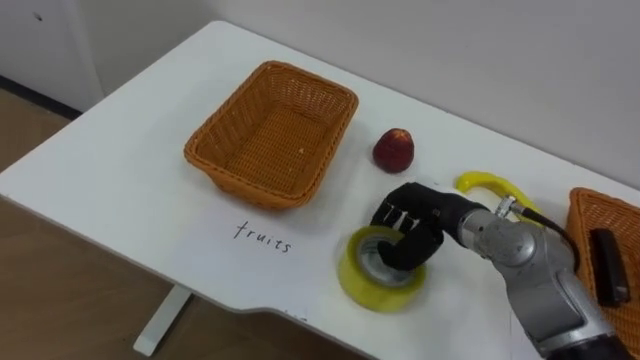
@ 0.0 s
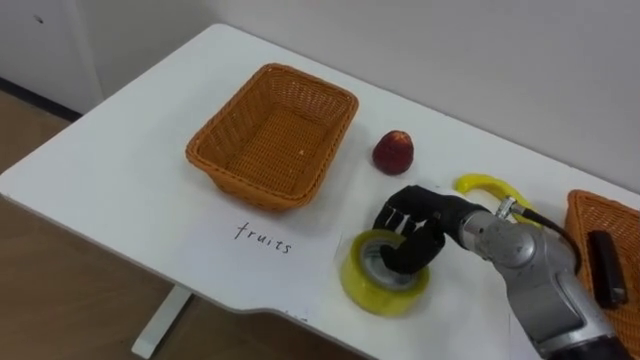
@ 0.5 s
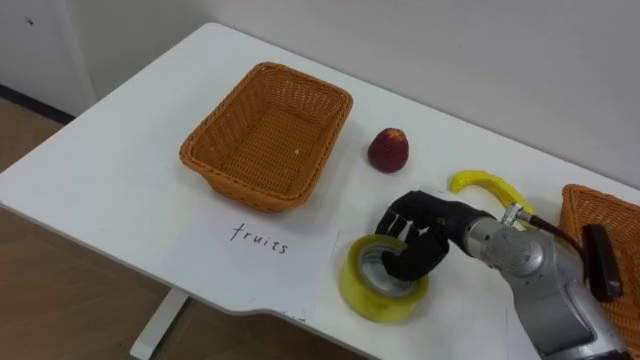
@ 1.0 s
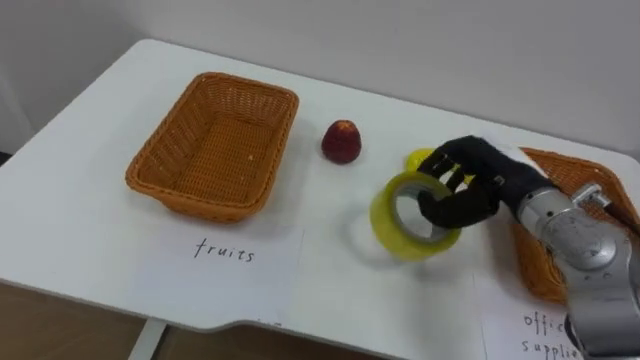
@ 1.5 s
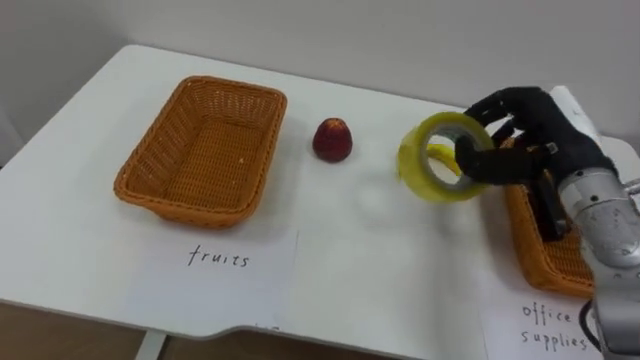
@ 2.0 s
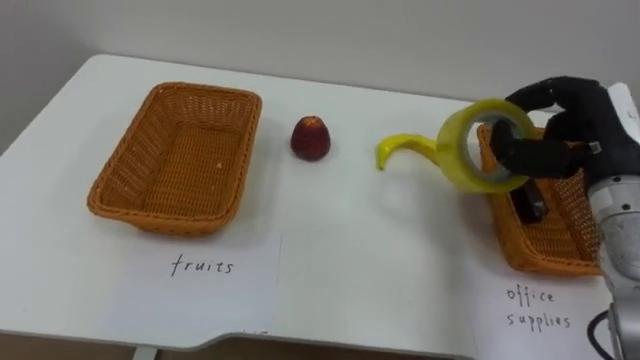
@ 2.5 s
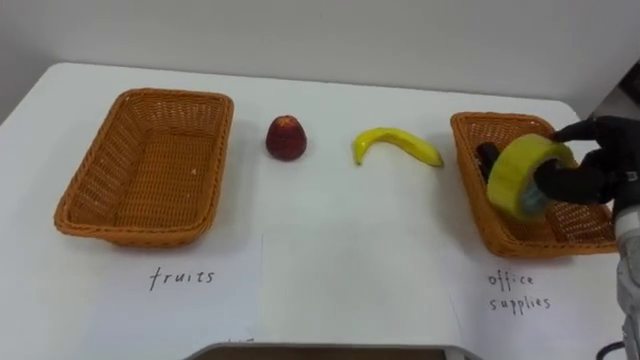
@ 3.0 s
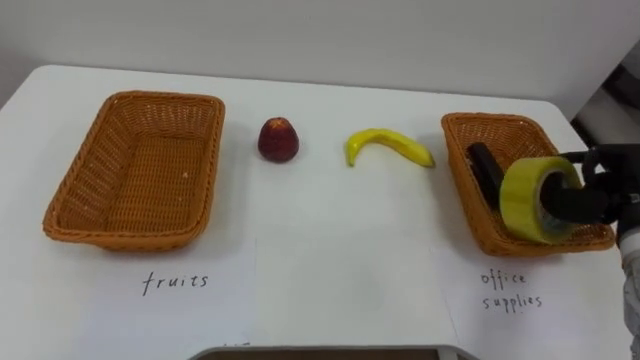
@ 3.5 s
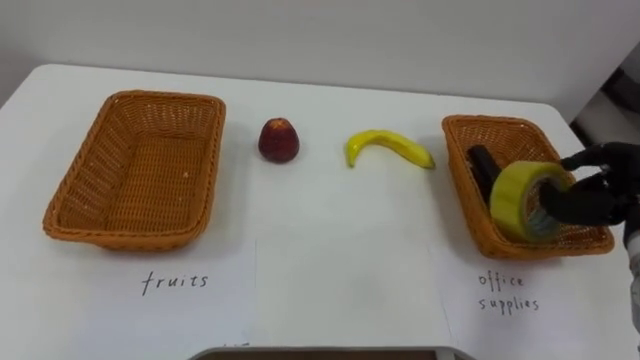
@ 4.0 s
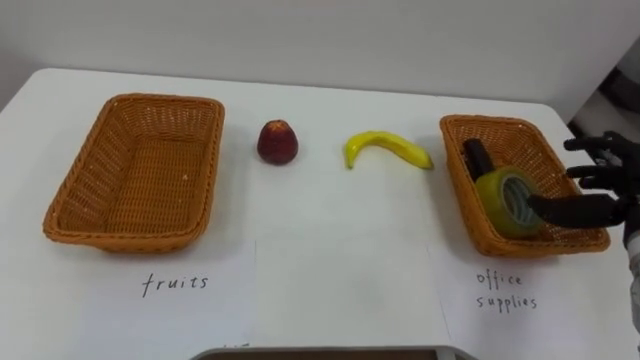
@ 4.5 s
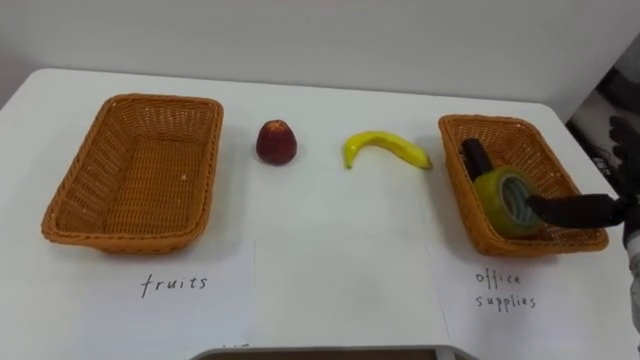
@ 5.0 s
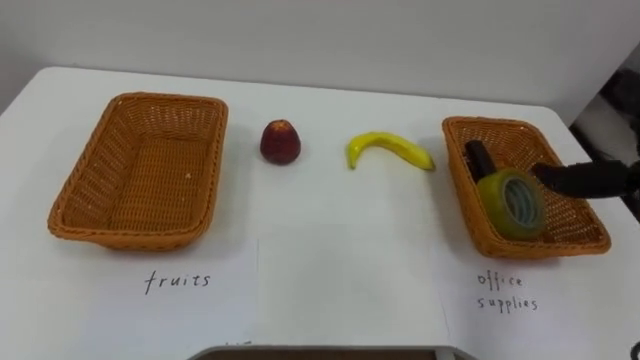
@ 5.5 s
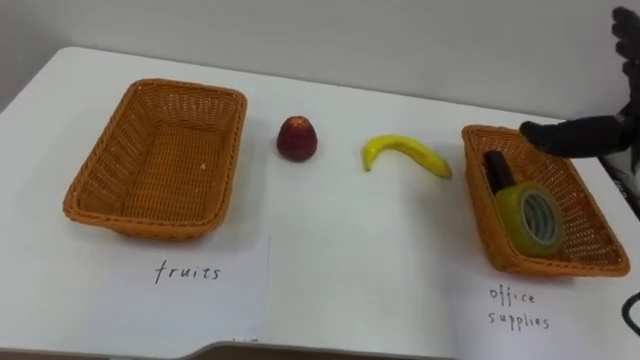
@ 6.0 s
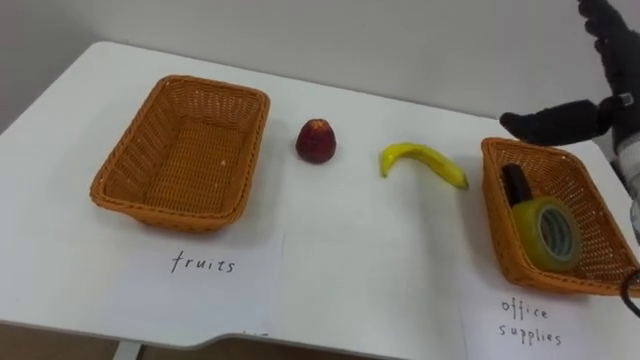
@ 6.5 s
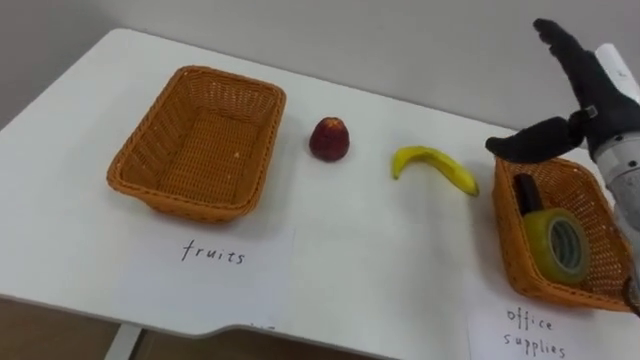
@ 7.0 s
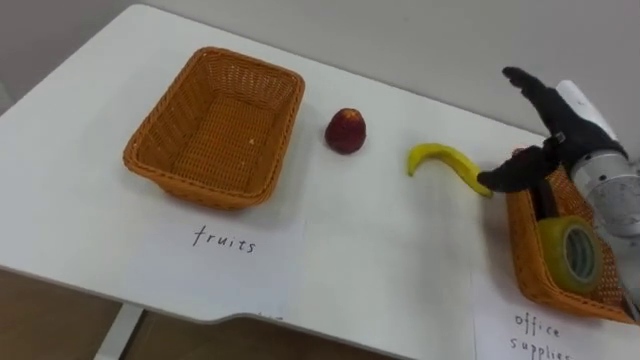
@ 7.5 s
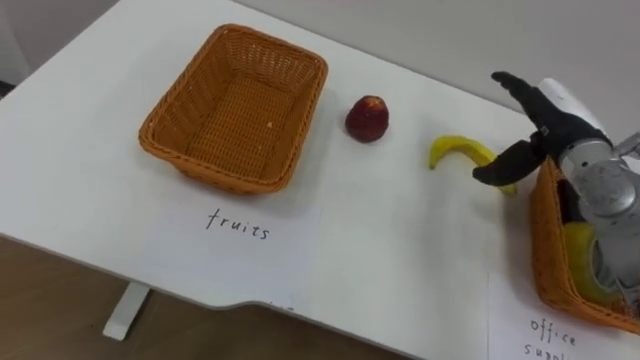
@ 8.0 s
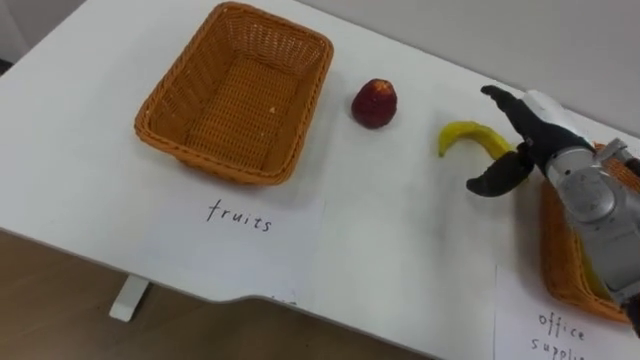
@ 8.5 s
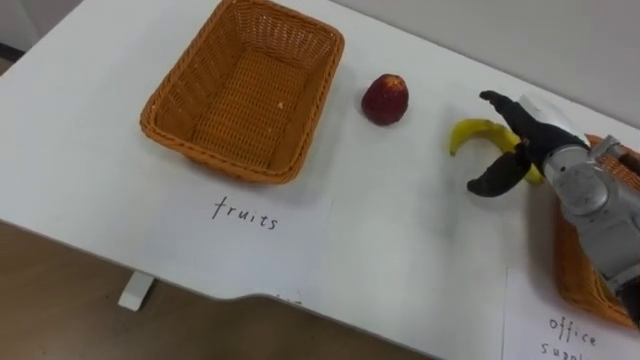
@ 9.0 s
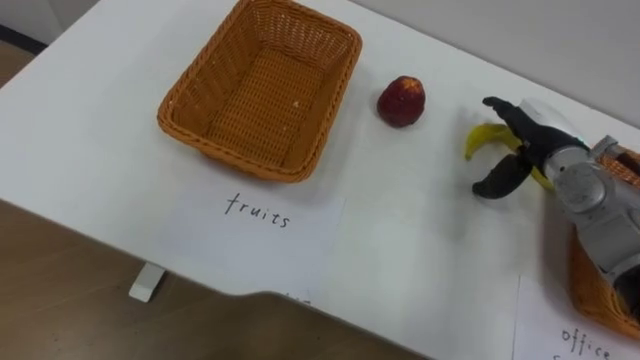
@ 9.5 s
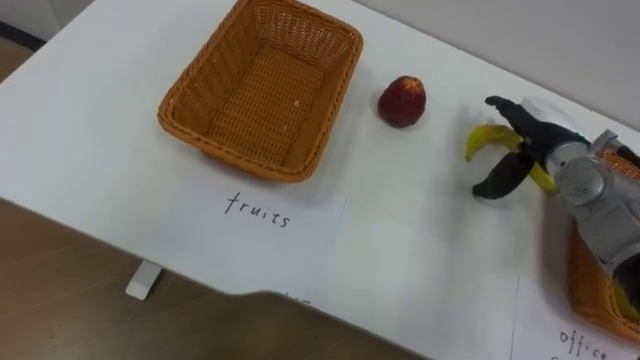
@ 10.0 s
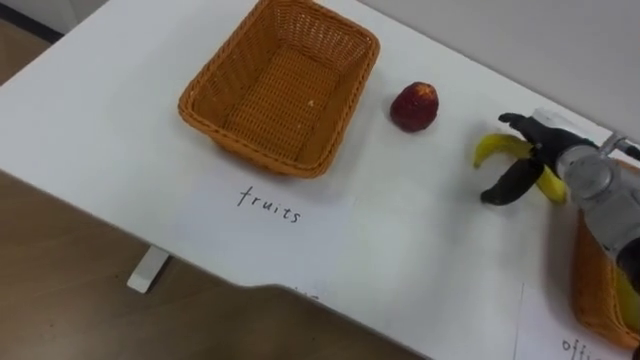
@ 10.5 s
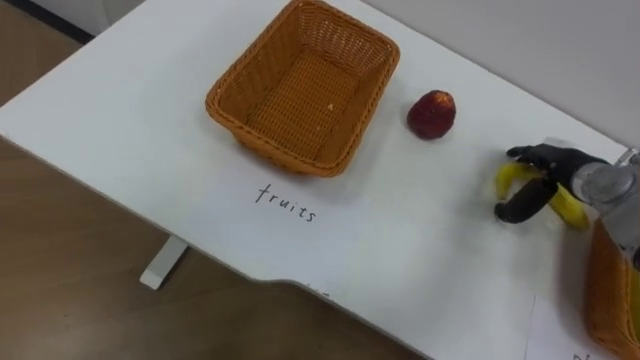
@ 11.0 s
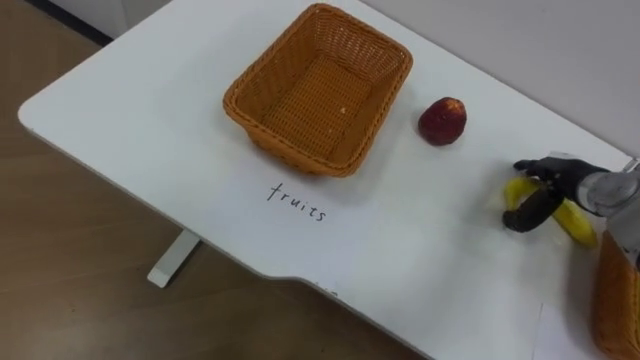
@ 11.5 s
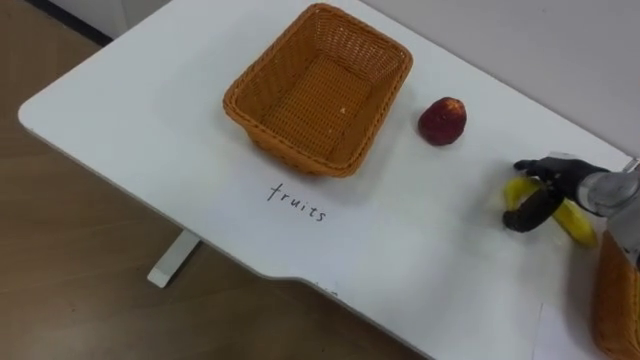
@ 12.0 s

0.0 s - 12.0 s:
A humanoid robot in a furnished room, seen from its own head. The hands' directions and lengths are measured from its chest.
Task of the whole recording: Separate the items on the table and place them into the two baskets.
0.0 s - 2.0 s: The right hand travels upward and to the right by approximately 15 cm.
2.0 s - 4.0 s: The right hand travels to the right and downward by roughly 10 cm.
10.0 s - 12.0 s: The right hand goes roughly 10 cm downward and to the right.

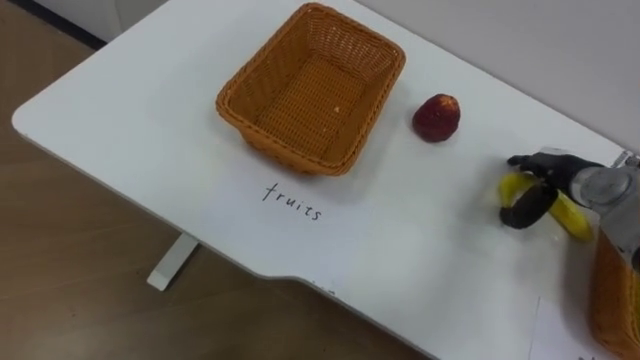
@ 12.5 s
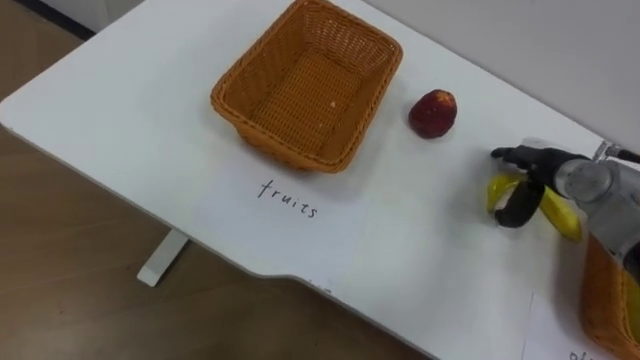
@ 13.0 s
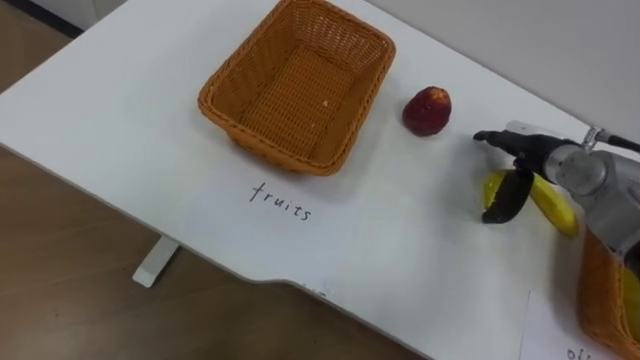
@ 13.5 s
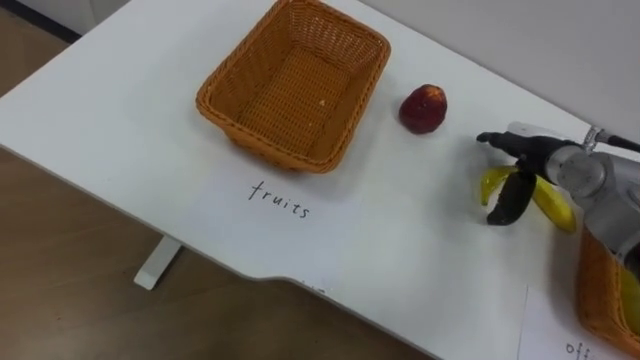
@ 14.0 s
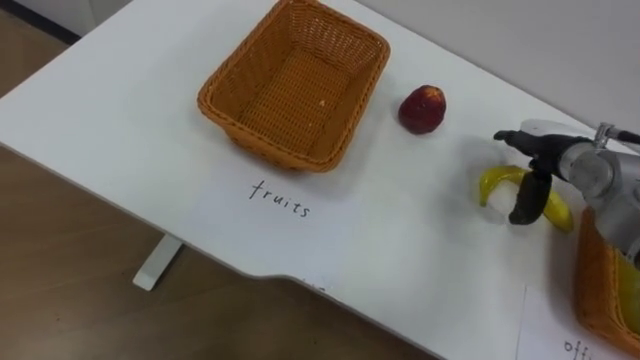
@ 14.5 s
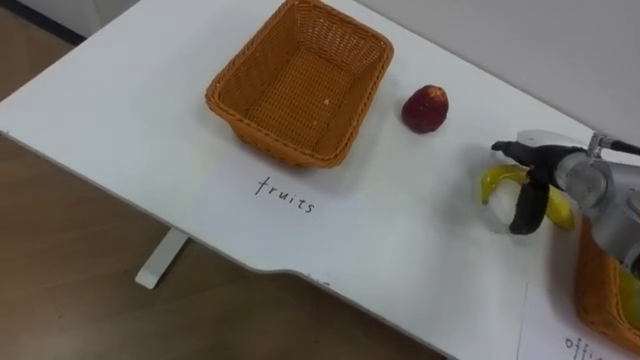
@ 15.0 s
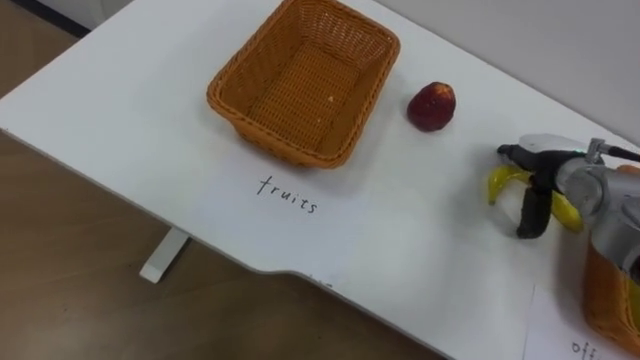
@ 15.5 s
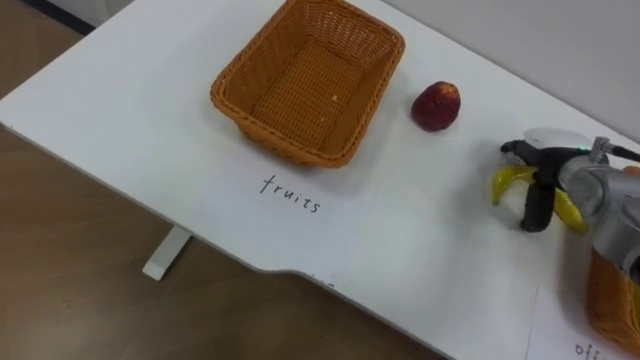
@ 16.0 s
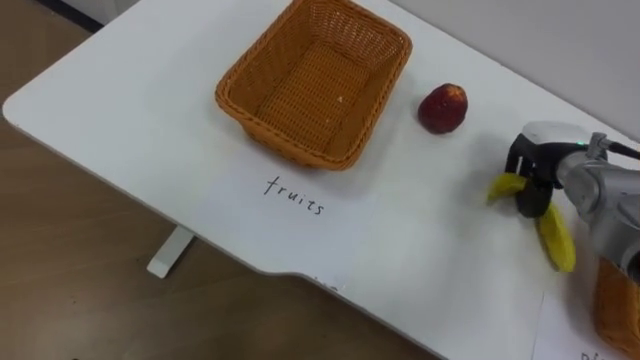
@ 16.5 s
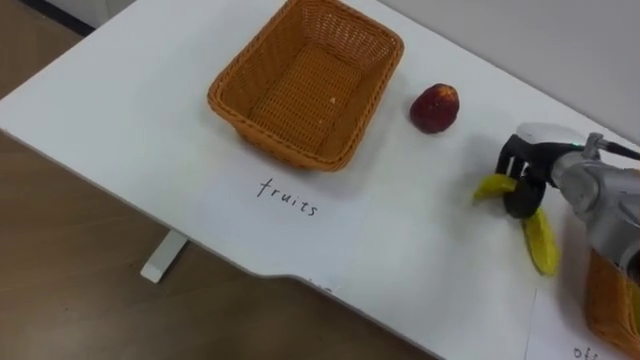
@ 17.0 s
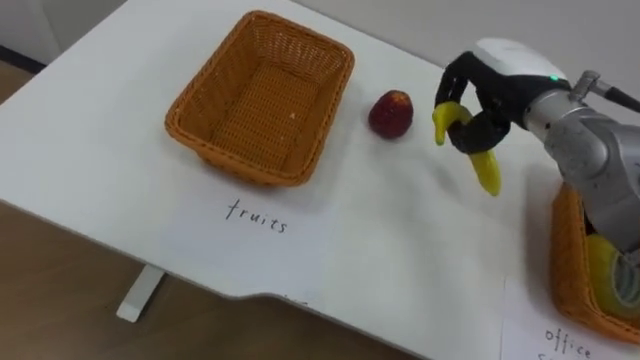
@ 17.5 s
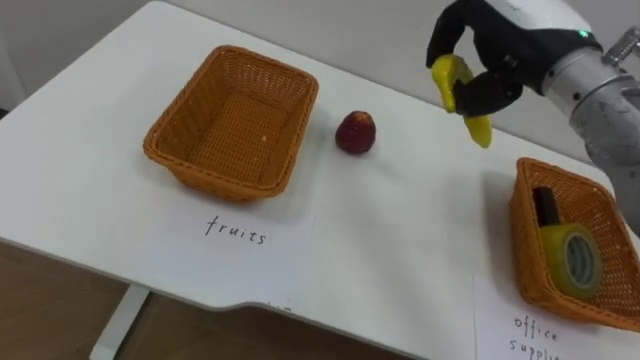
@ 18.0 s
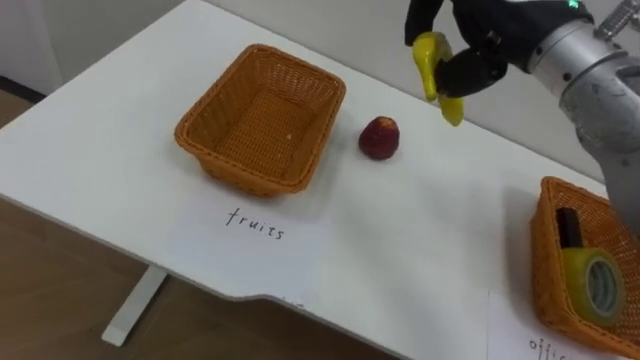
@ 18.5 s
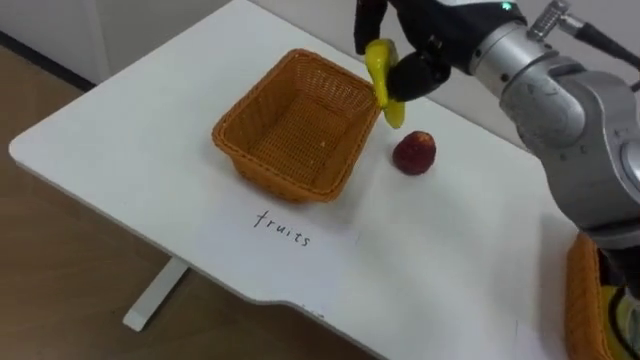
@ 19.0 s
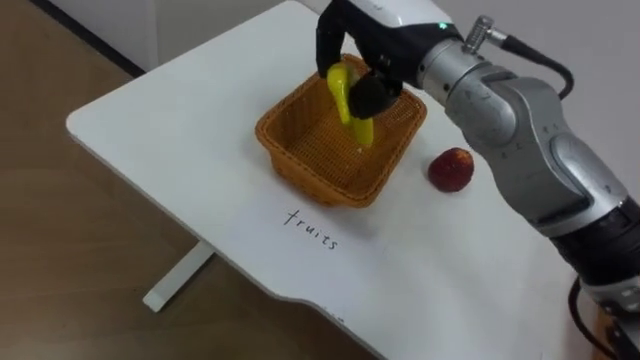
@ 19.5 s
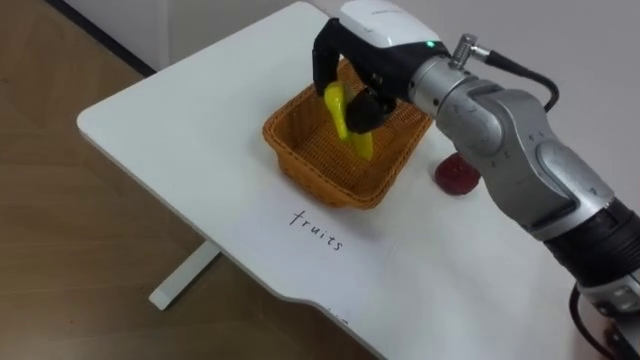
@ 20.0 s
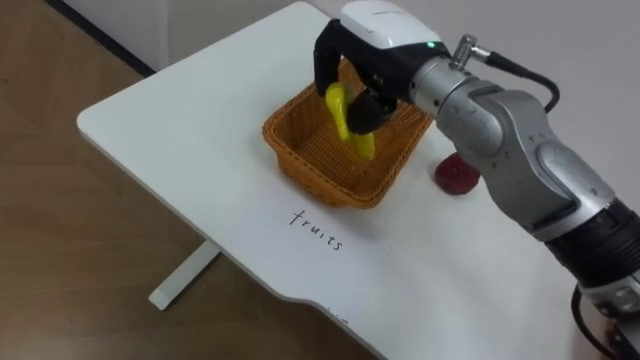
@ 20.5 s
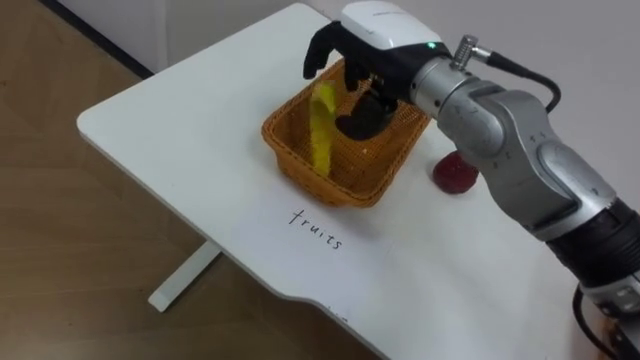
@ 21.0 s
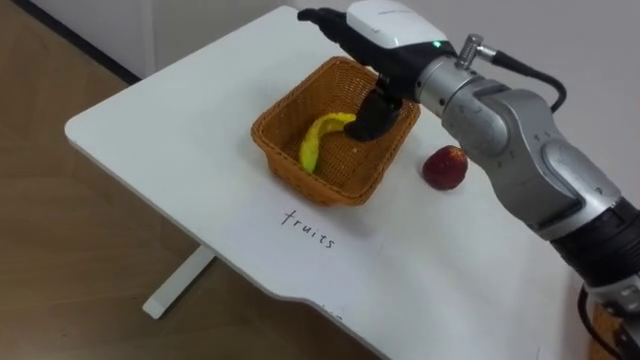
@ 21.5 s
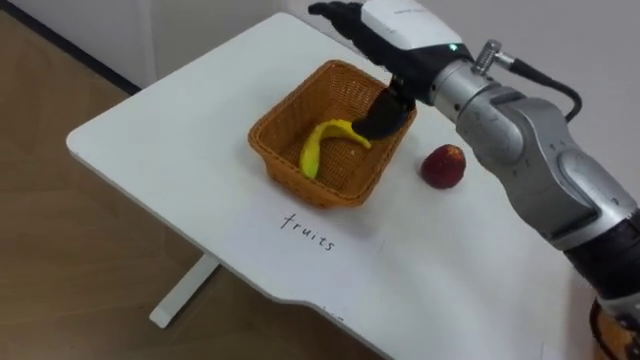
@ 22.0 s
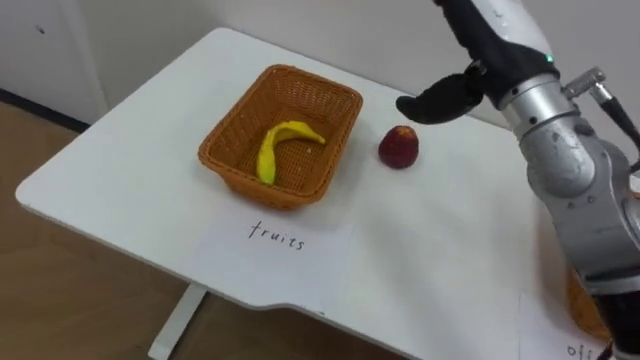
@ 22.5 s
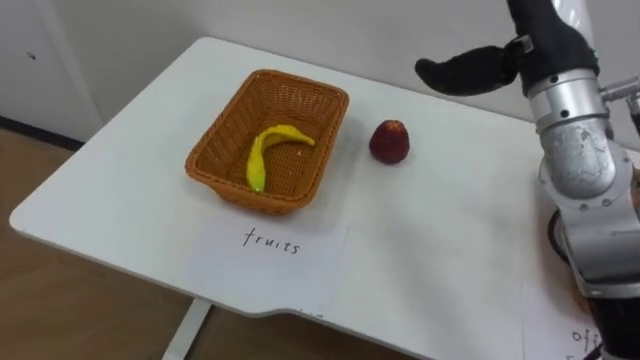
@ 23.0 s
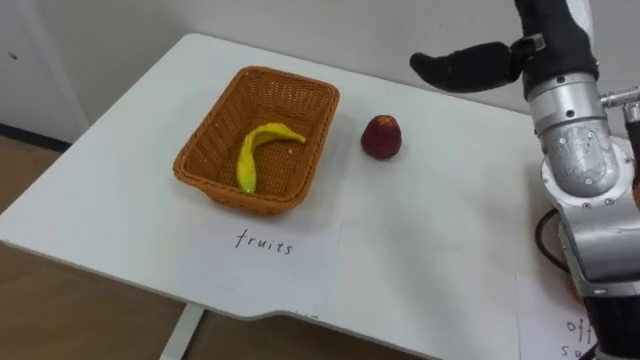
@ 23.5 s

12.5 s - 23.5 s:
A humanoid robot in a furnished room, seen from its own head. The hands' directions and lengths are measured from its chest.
Task of the whole recording: Separate the items on the table and place them into the two baskets.
16.0 s - 18.0 s: The right hand goes approximately 20 cm upward and to the left, and closes its fingers.
18.0 s - 20.0 s: The right hand shifts roughly 15 cm to the left.
20.0 s - 21.5 s: The right hand opens.
21.5 s - 23.5 s: The right hand heads to the right, covering roughly 15 cm.
